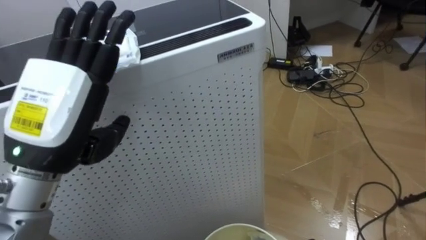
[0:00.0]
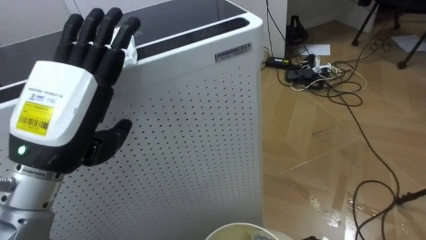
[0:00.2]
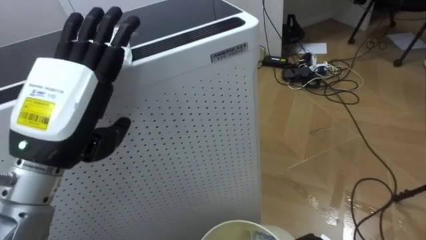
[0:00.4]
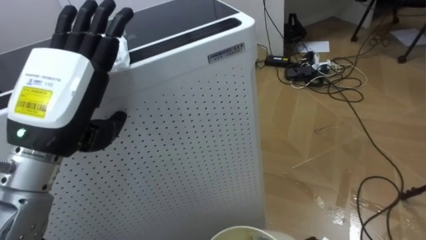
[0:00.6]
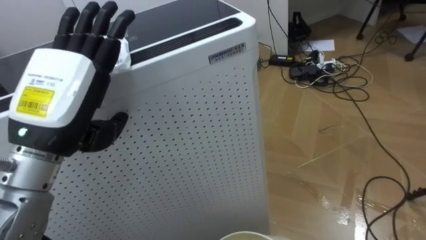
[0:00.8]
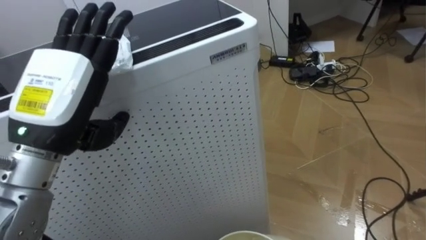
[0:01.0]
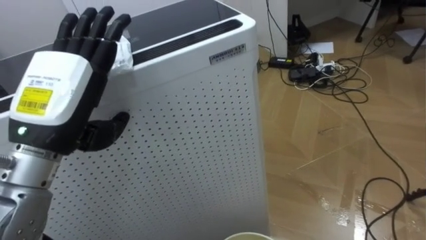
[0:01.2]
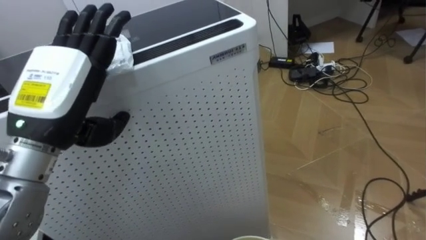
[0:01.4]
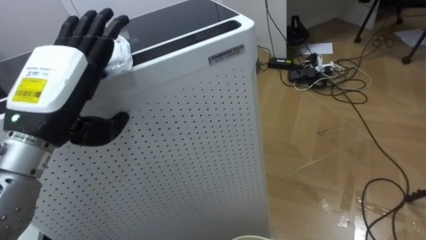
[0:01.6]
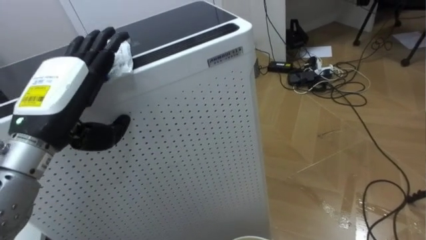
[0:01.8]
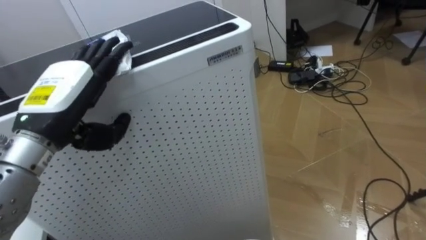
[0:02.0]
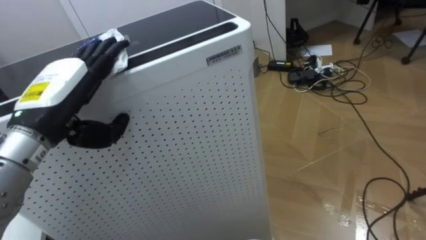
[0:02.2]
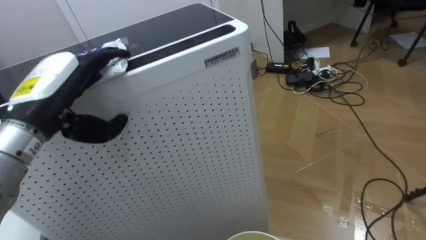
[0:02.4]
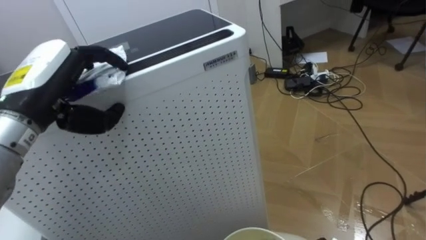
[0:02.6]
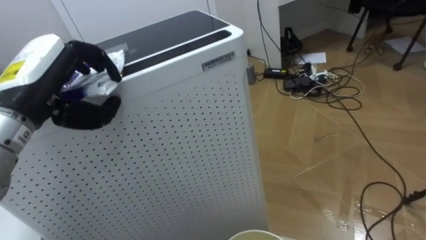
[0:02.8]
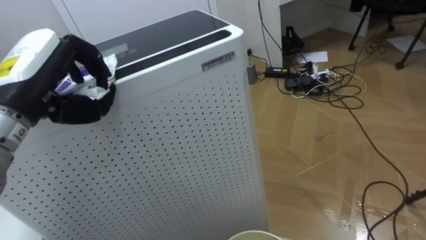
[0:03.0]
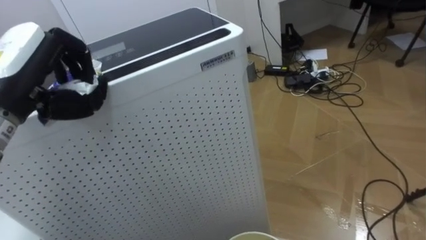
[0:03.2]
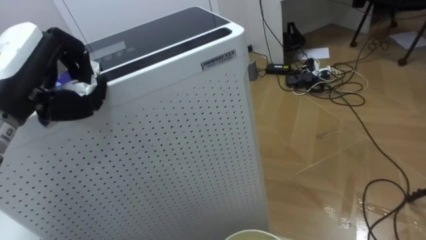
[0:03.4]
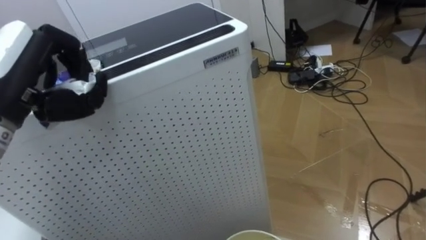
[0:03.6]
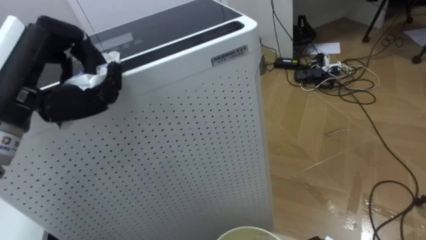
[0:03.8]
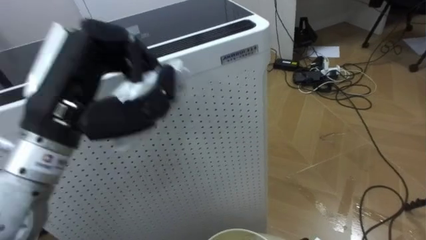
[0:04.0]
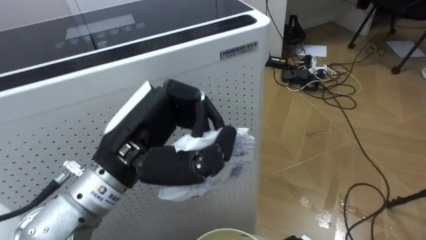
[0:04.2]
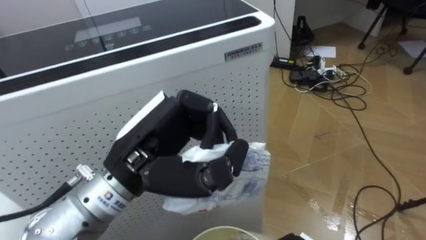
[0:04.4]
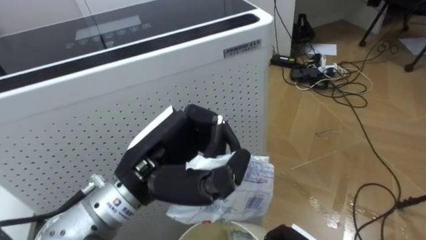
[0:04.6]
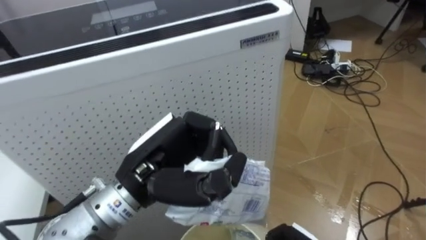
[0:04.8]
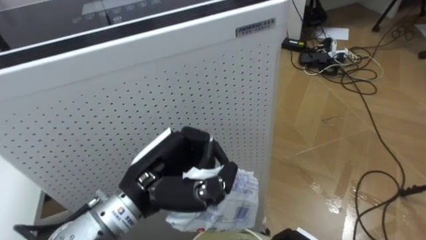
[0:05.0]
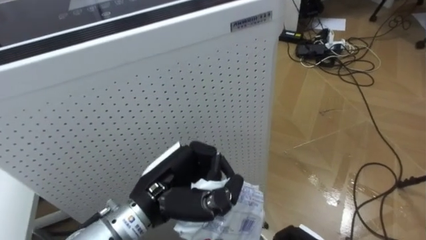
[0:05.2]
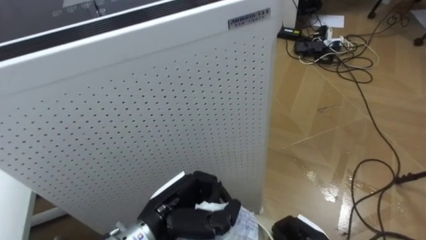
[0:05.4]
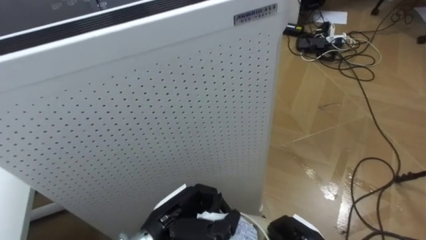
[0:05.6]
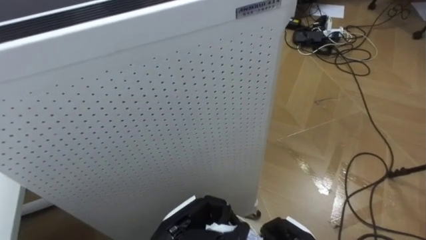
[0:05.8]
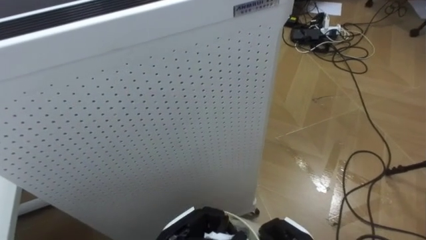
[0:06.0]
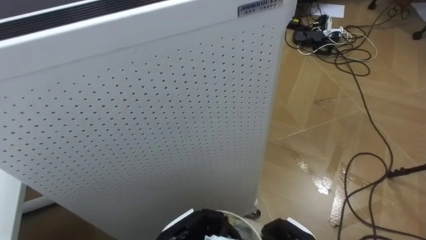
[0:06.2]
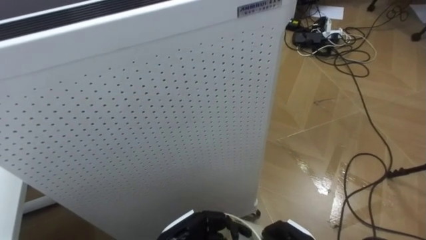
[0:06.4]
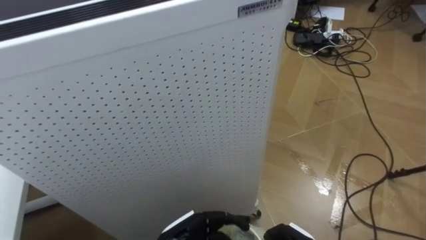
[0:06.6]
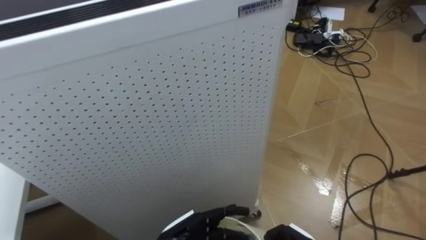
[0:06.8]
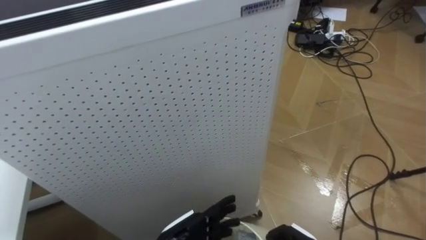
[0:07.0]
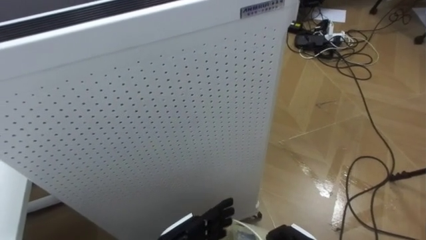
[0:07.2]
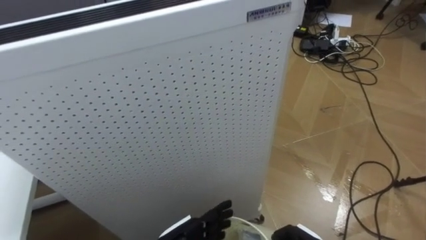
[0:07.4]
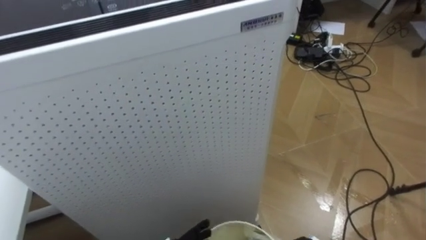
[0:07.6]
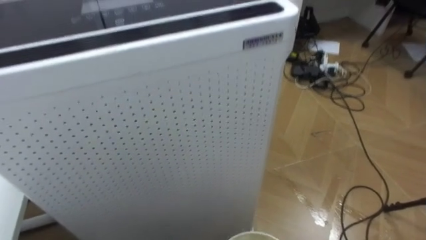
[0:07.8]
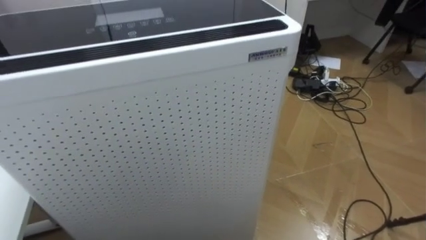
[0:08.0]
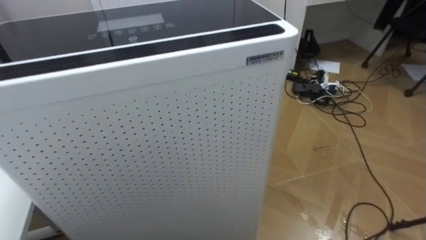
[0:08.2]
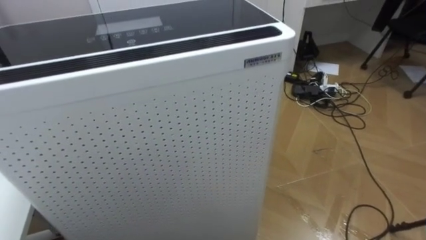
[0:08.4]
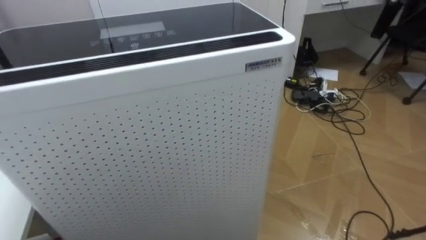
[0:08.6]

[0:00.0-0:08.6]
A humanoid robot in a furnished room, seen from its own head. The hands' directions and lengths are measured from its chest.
Task of the whole recording: Pick up the light blue package, the candy box, and the dark blue package separately, and put them into the trash can held in your right hand.
0:01.4 to 0:02.8: The left hand shifts by about 5 cm, and closes up.
0:02.8 to 0:04.4: The left hand heads to the right and backward, covering about 15 cm.
0:04.4 to 0:05.8: The left hand is displaced downward by about 20 cm.
0:05.8 to 0:07.2: The left hand opens.

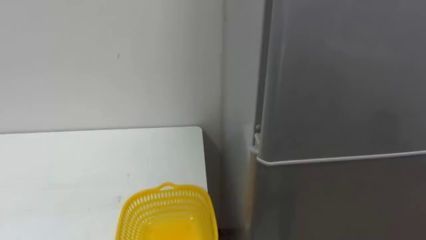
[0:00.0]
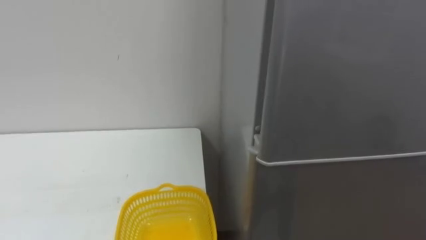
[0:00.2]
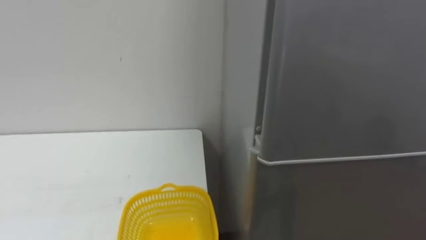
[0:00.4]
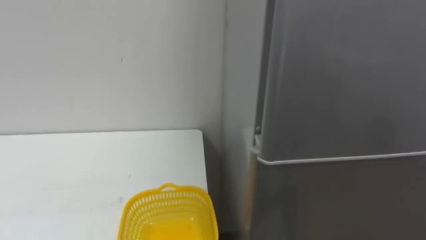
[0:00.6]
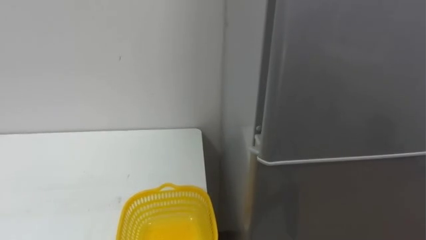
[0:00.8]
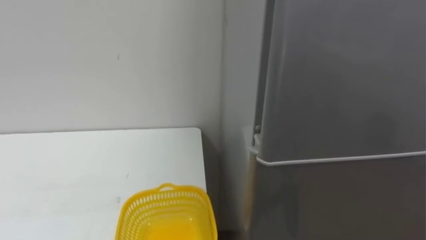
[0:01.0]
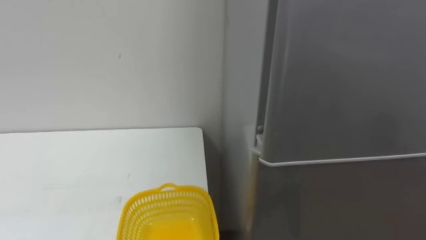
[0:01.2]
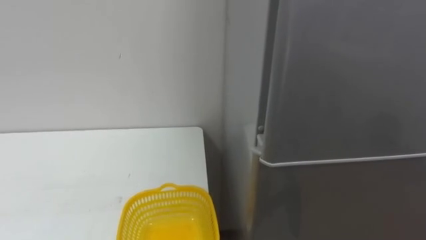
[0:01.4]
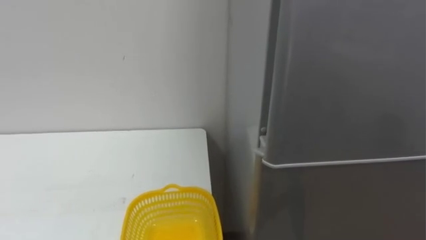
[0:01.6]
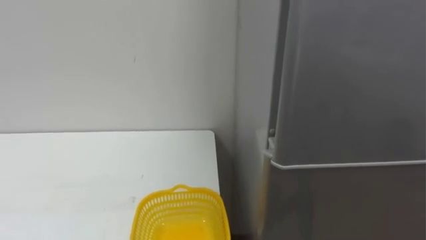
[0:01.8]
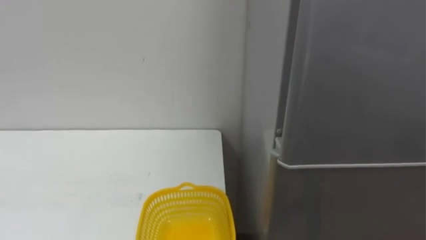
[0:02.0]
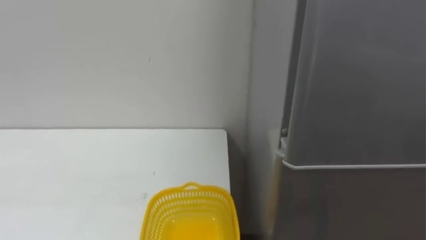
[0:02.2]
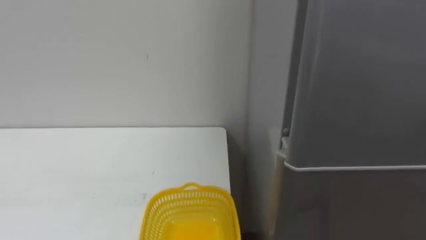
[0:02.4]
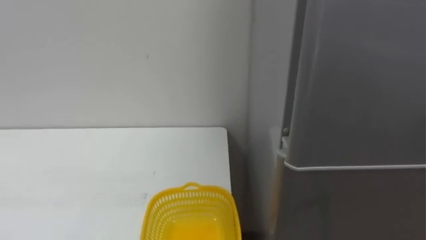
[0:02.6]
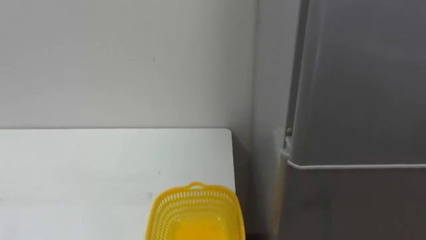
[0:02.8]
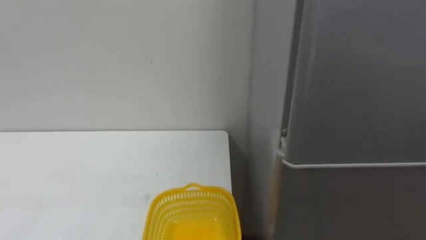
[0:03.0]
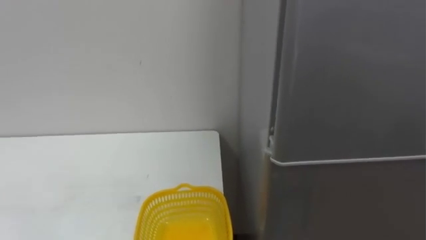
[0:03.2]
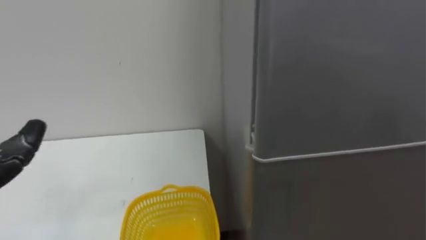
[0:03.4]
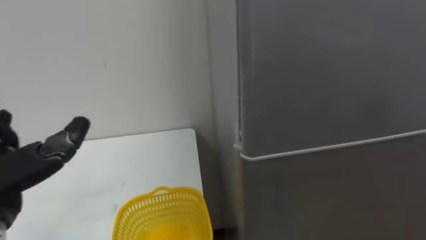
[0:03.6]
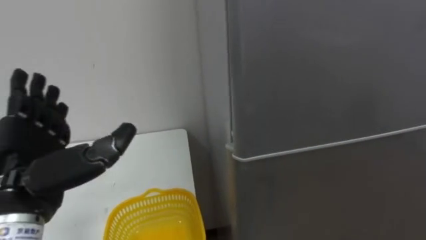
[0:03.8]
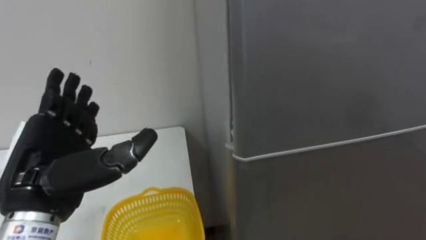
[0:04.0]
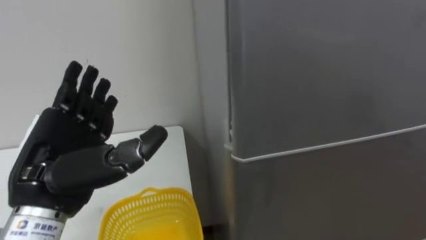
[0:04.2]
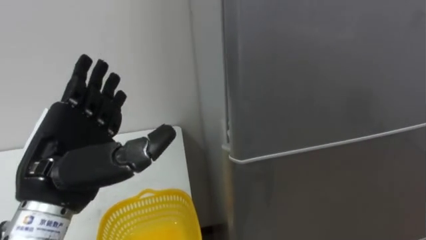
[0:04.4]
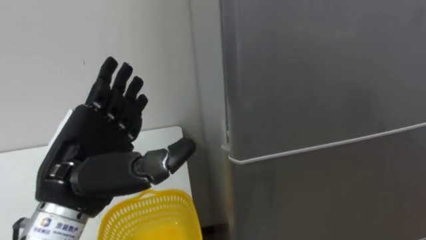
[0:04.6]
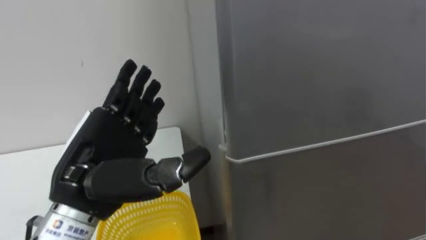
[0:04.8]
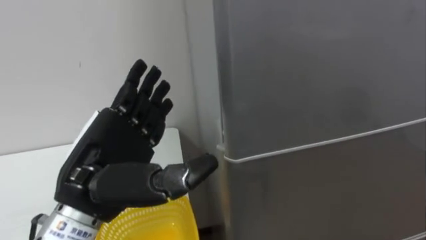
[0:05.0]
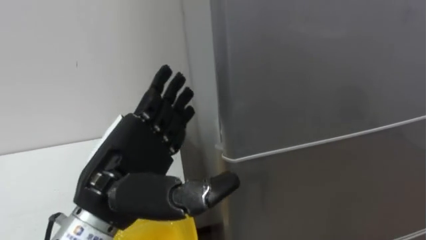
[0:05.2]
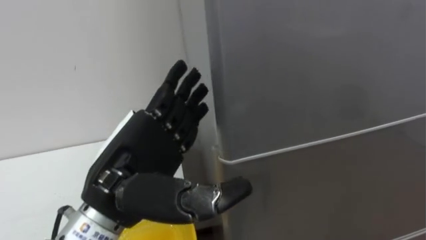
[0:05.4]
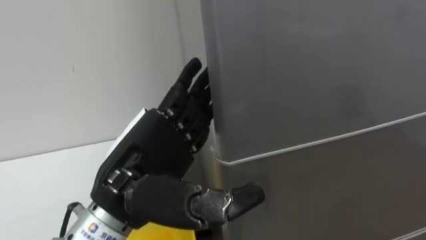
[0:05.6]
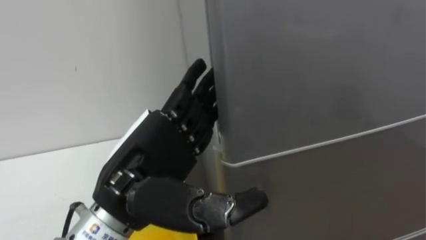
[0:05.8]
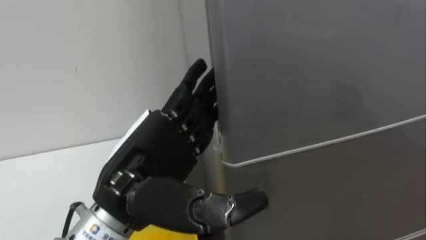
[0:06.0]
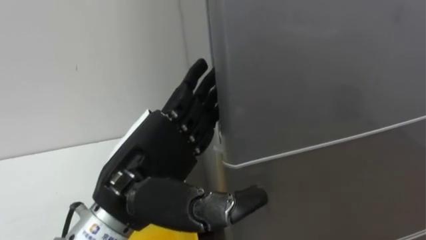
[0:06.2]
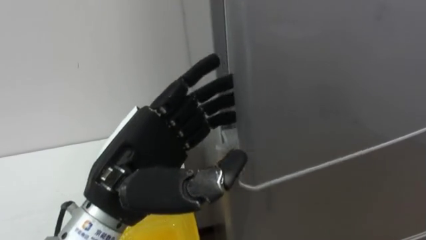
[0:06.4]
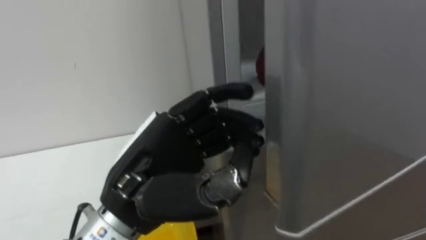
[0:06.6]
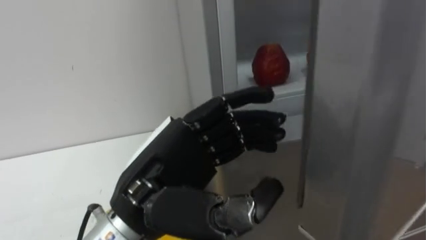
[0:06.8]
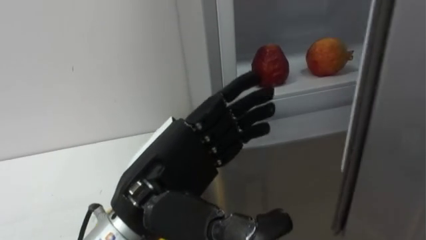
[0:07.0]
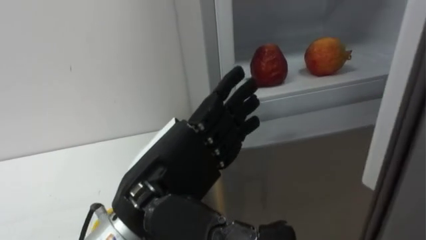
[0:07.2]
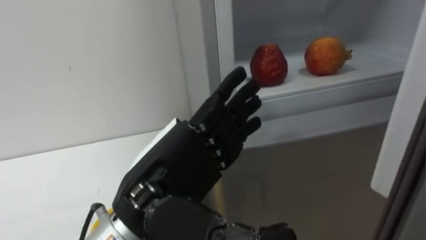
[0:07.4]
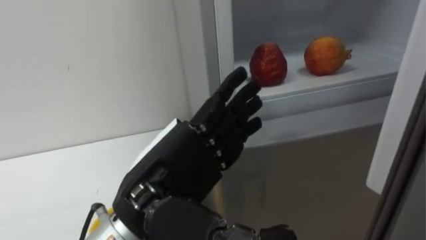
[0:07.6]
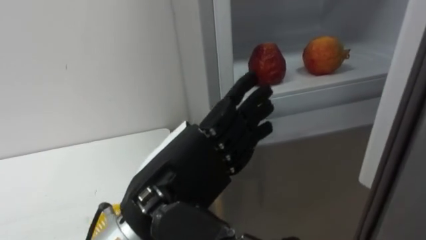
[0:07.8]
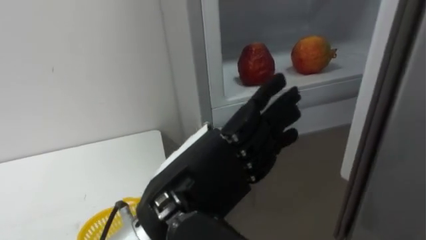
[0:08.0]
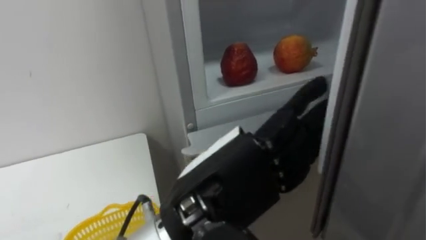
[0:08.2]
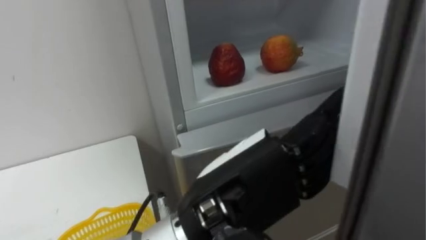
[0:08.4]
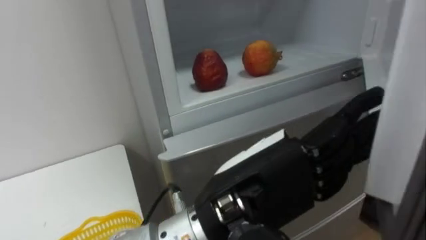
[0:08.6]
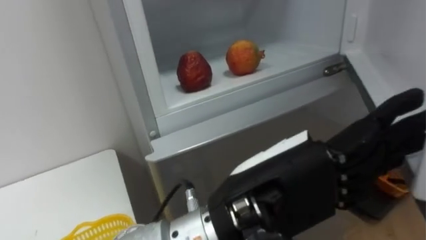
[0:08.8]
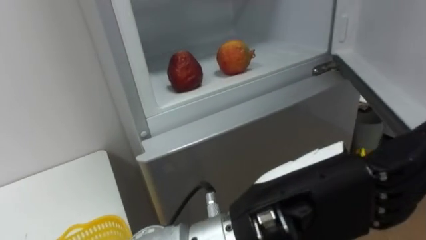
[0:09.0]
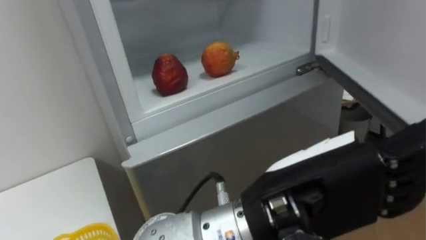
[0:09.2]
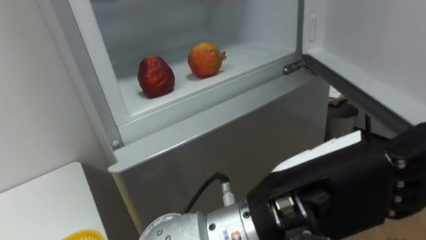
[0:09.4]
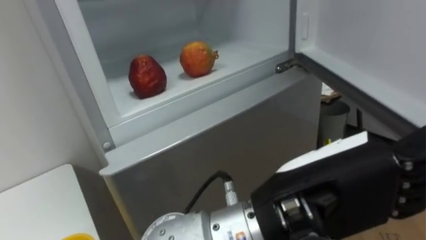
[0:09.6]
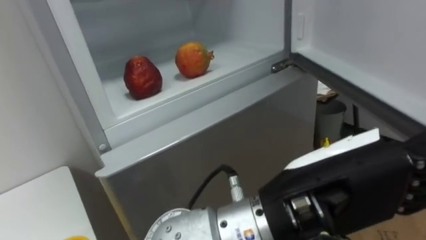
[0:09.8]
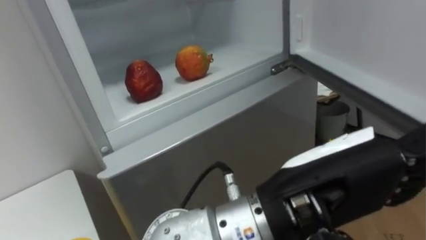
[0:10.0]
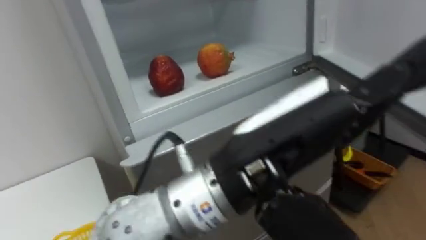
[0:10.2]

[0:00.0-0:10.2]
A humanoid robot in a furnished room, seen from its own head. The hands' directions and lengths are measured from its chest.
Task of the whole recording: Open the refrigerator door, take out the apple and the pomegranate, place them in the fruit basket on the left, and close the refrigerator door.
0:04.4 to 0:05.8: The left hand moves to the right, about 10 cm.
0:05.8 to 0:07.2: The left hand closes, then reopens.
0:07.2 to 0:08.8: The left hand heads to the right, covering roughly 10 cm.
